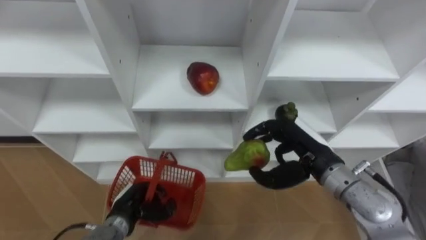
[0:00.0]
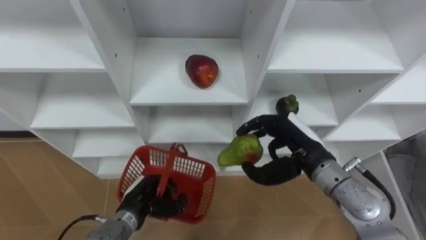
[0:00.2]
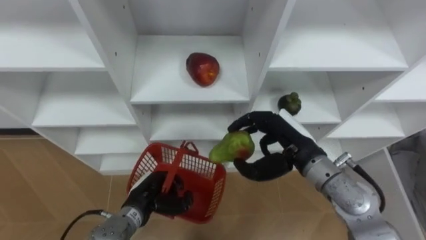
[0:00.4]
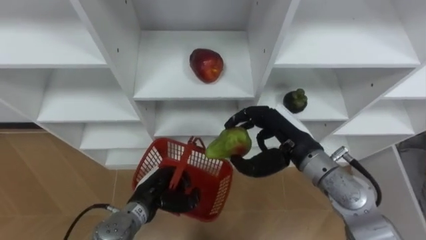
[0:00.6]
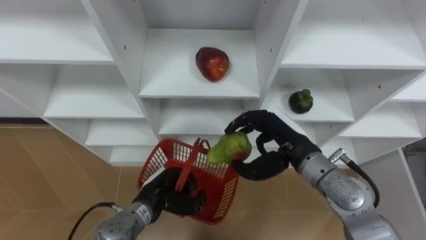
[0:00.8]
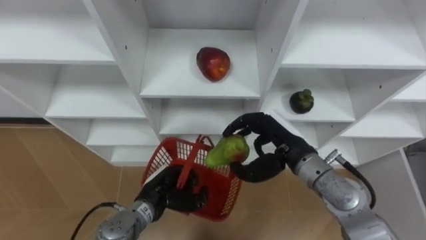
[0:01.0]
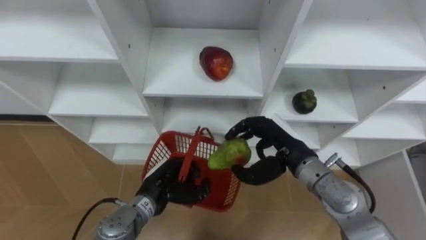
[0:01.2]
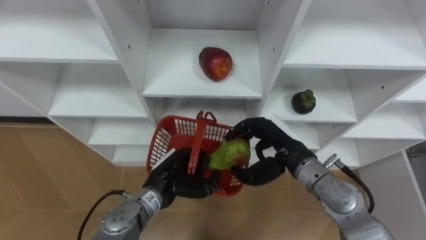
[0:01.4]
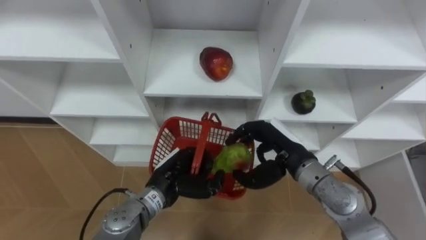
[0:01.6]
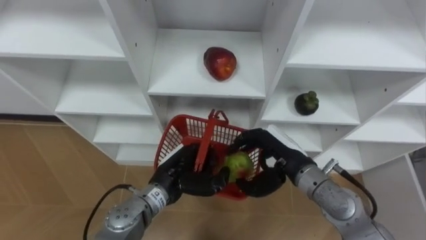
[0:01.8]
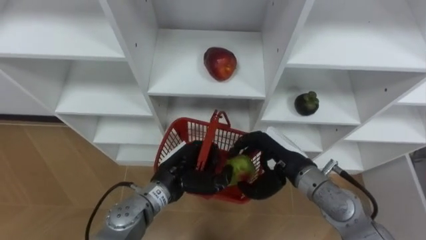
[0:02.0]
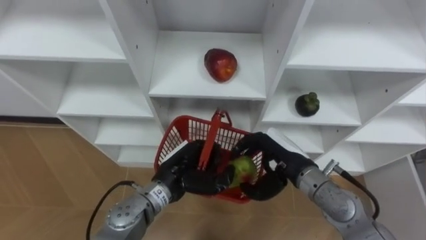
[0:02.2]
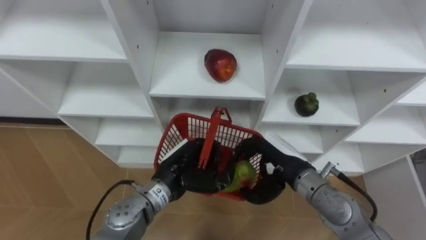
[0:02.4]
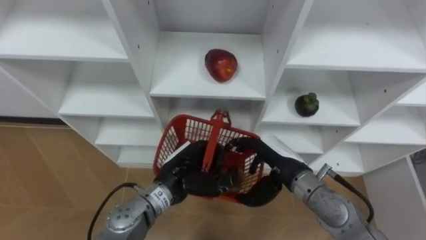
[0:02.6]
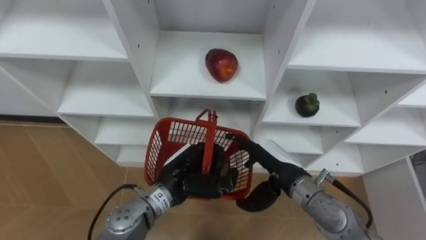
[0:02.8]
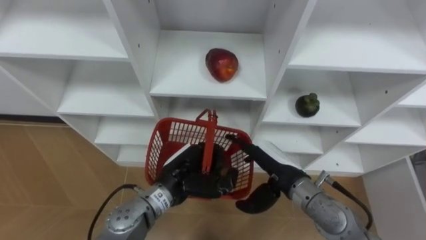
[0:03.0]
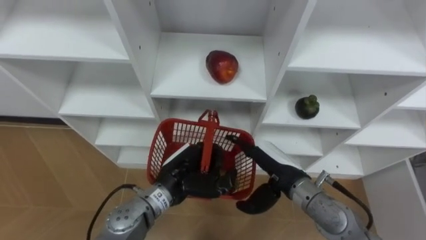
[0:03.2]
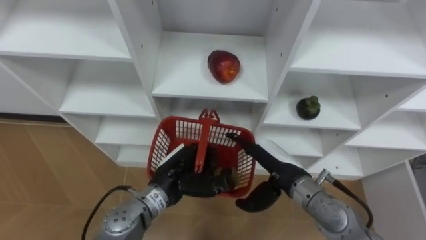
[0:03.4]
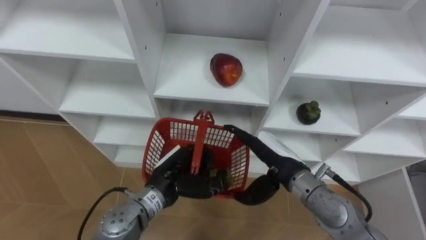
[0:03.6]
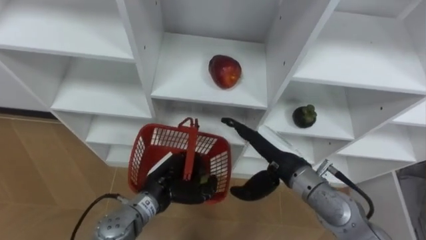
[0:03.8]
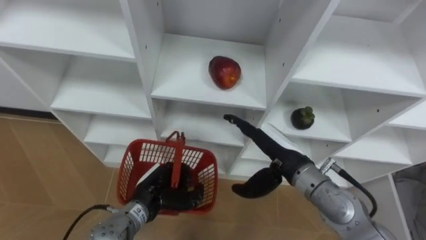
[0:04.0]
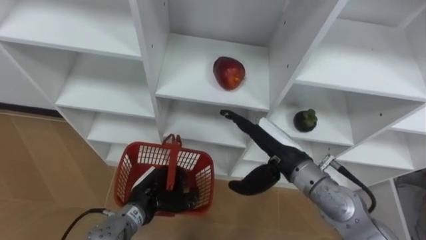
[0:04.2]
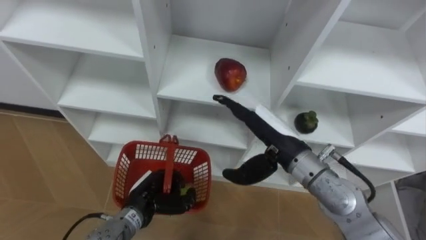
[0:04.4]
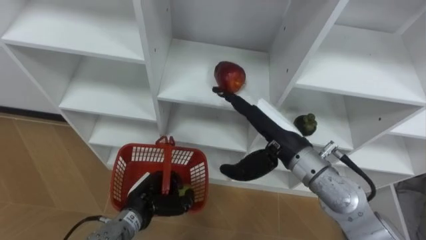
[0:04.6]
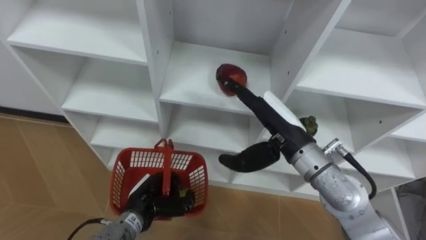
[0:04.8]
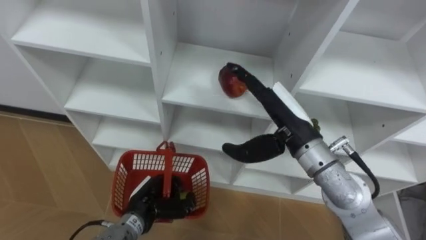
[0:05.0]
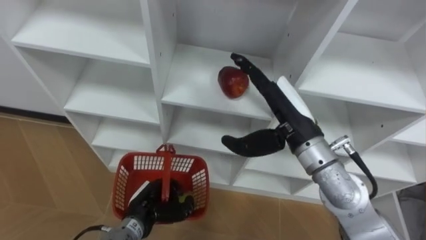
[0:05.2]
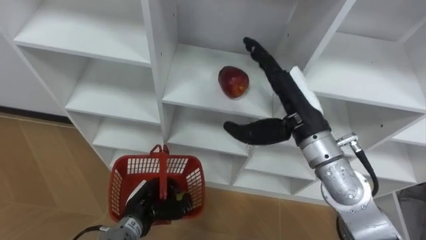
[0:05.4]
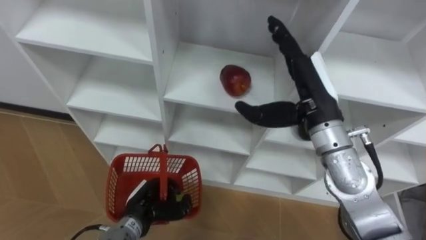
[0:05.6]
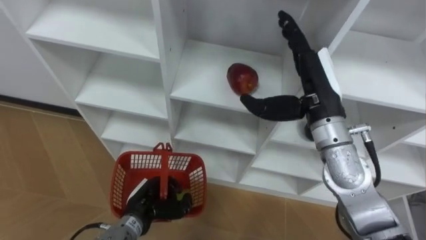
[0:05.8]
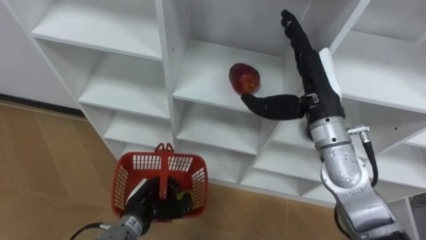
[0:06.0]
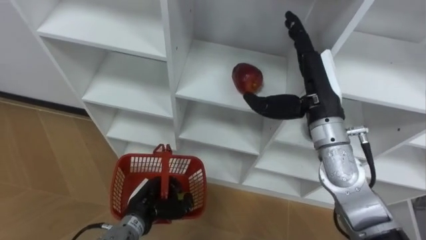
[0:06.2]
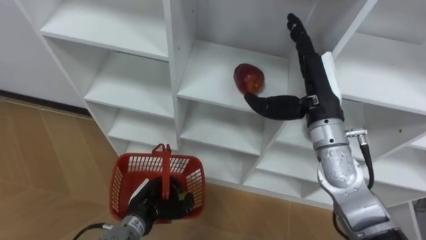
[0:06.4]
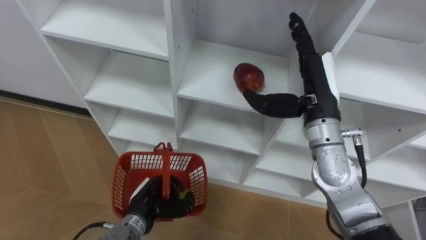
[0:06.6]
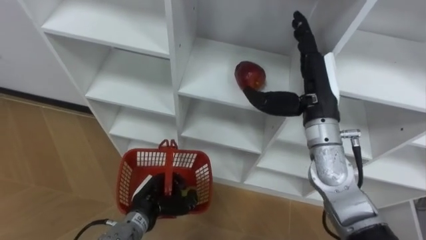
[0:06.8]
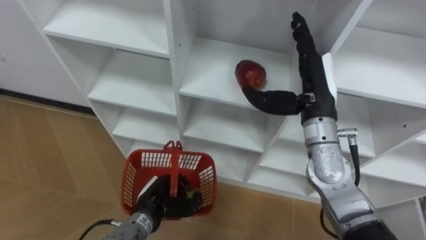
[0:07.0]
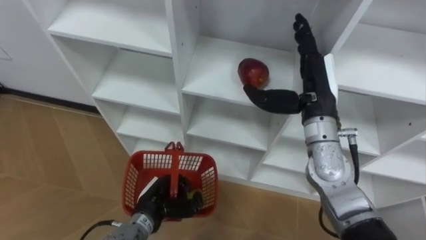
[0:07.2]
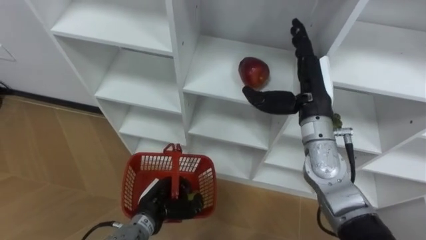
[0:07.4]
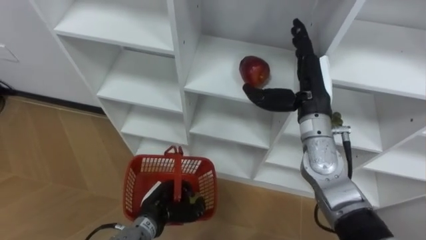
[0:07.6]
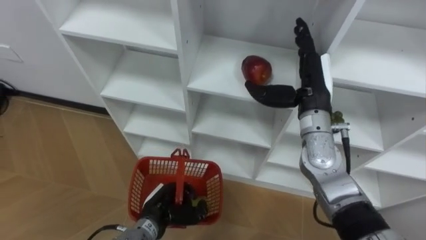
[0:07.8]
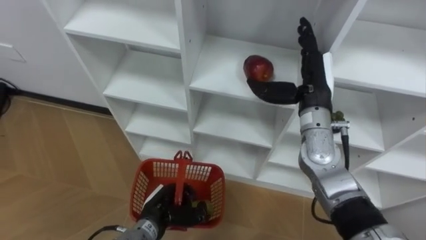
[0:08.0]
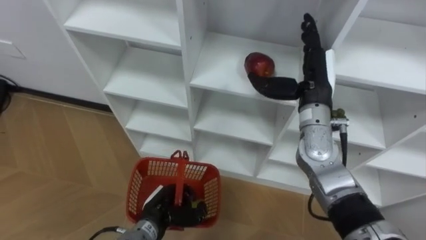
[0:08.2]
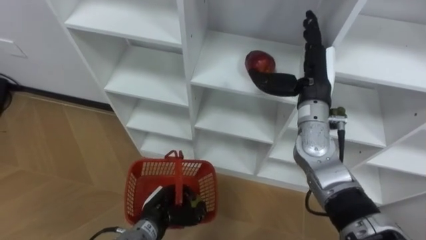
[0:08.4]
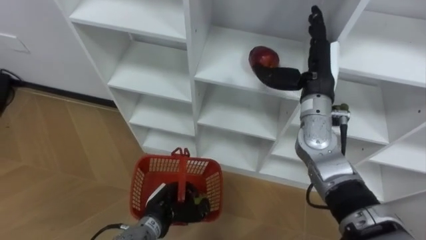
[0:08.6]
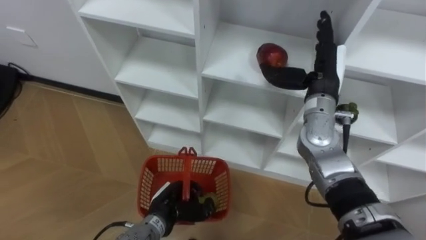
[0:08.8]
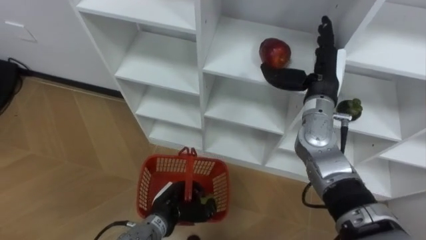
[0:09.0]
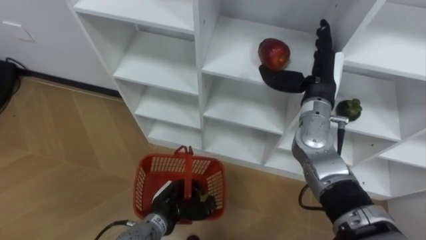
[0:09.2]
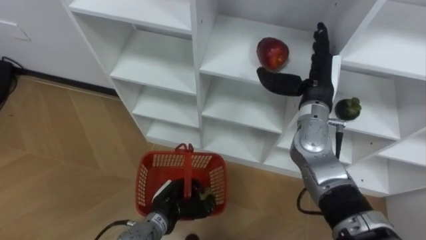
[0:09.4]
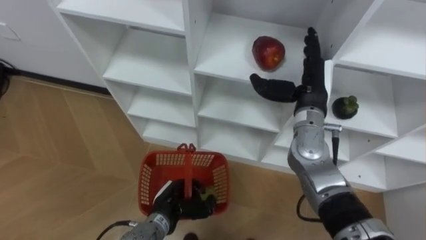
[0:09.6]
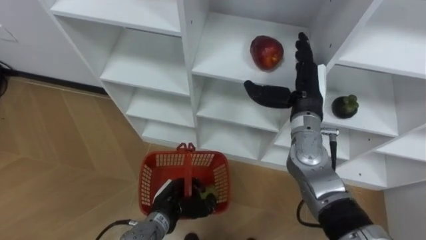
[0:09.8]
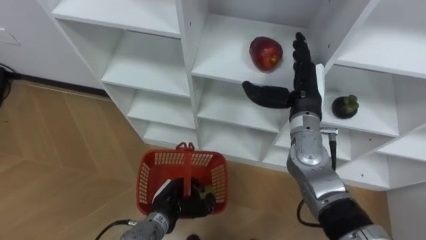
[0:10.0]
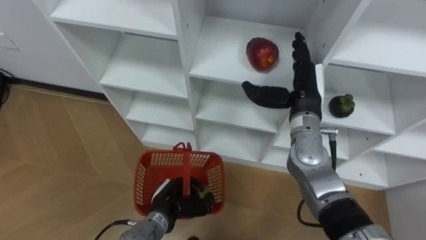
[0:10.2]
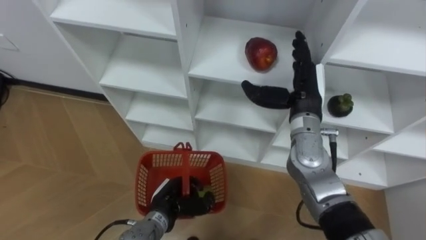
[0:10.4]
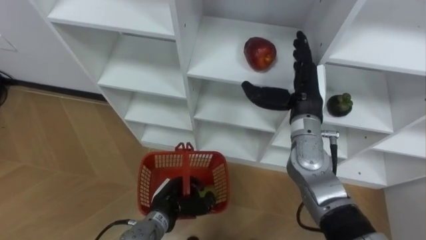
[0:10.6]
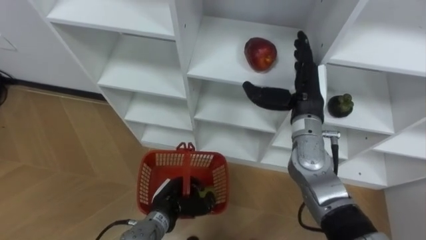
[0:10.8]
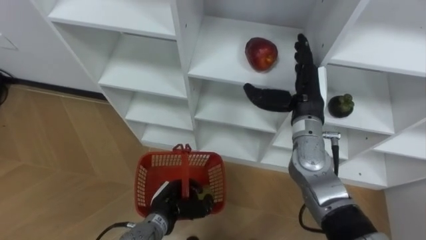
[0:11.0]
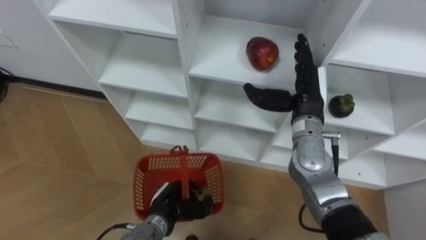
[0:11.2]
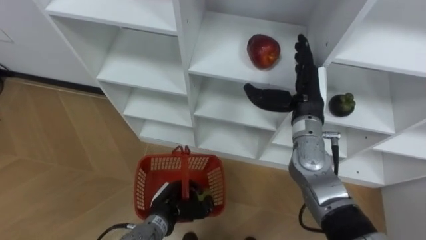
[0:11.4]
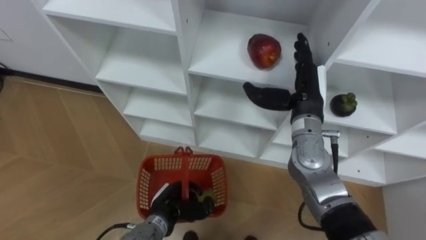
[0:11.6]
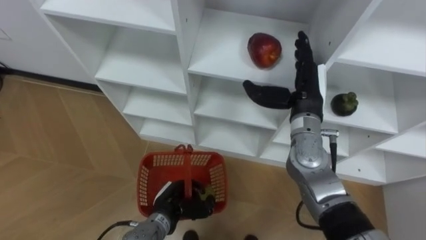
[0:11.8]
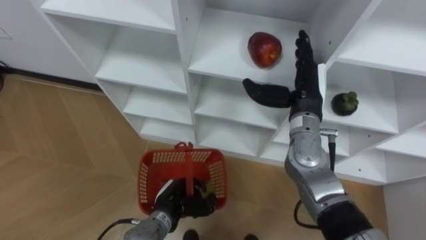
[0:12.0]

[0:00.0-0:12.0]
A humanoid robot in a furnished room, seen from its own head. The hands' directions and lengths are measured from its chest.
Task of the whole recording: Hold the basket and collect the fruits from 3 different cells of the closet into it.
0.0 to 1.6 s: The left hand moves to the right and upward, some 15 cm.
1.6 to 3.0 s: The right hand opens.
3.0 to 4.4 s: The left hand goes roughly 10 cm to the left and downward. Meanwhile the right hand travels upward by some 10 cm.
4.4 to 6.0 s: The right hand goes about 10 cm upward and to the right.
10.4 to 12.0 s: The two hands keep their place.

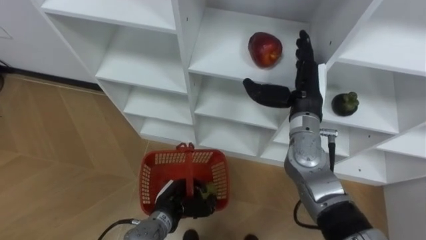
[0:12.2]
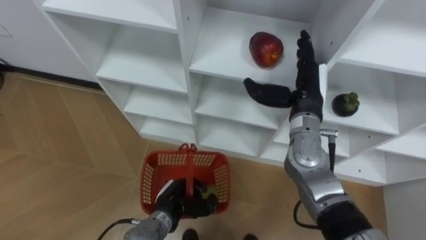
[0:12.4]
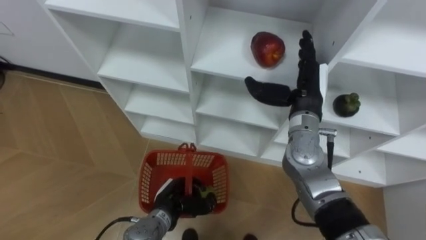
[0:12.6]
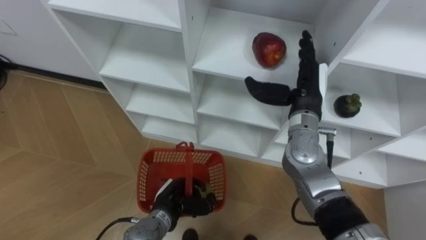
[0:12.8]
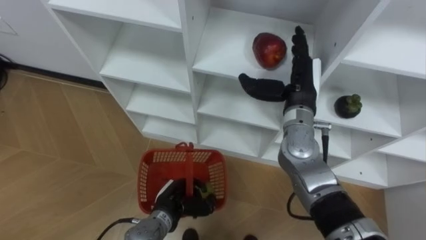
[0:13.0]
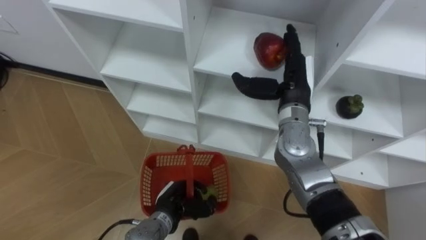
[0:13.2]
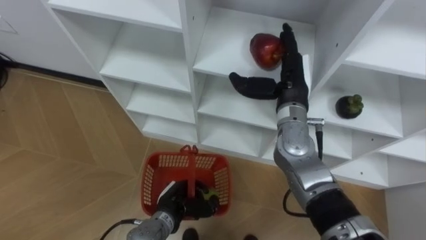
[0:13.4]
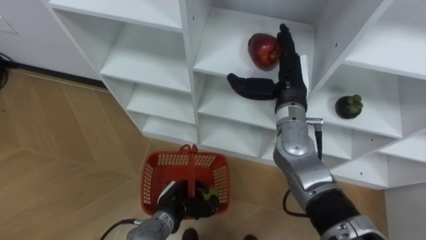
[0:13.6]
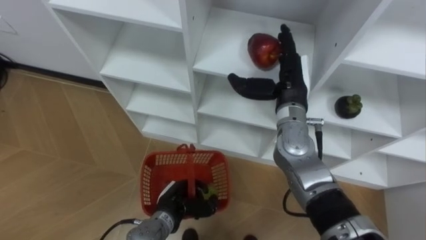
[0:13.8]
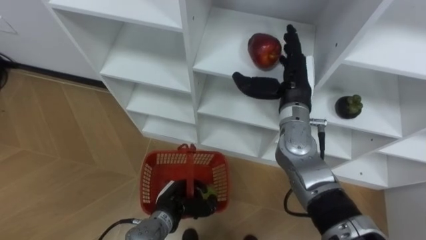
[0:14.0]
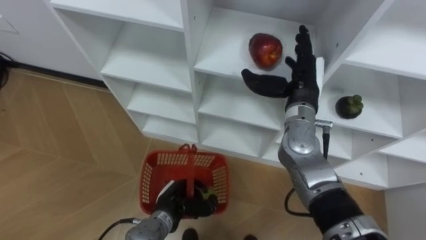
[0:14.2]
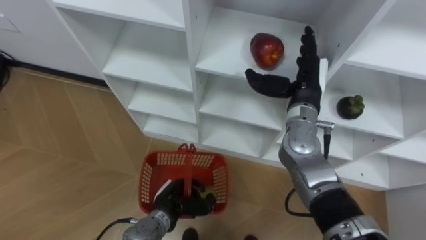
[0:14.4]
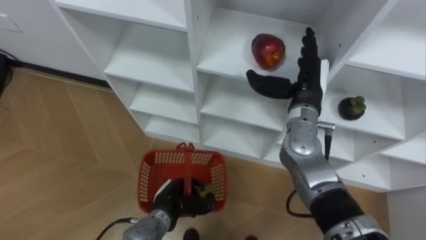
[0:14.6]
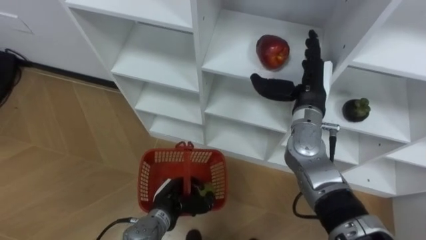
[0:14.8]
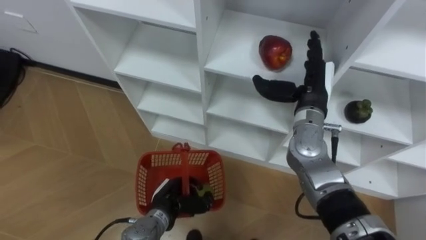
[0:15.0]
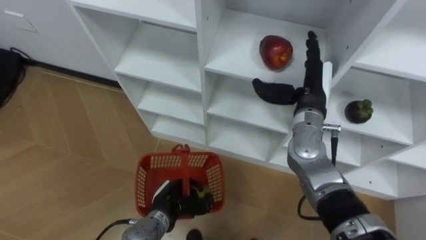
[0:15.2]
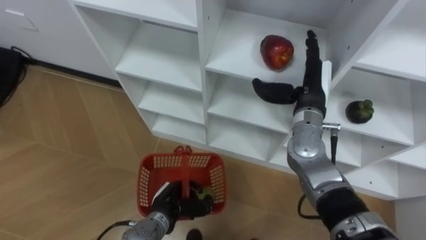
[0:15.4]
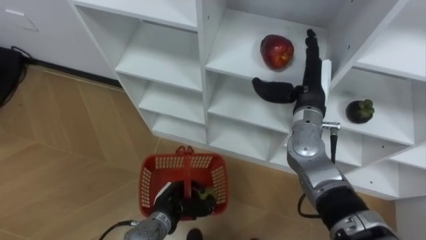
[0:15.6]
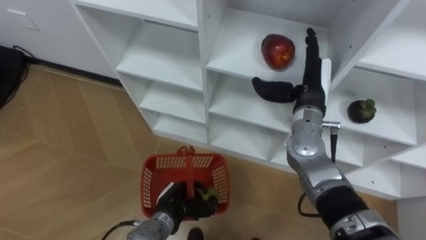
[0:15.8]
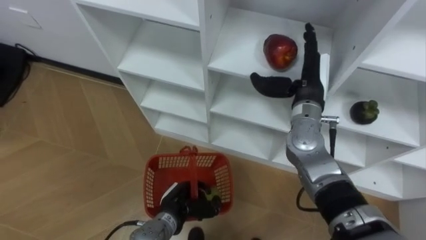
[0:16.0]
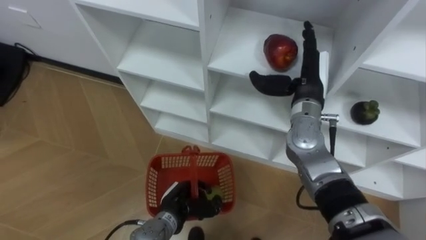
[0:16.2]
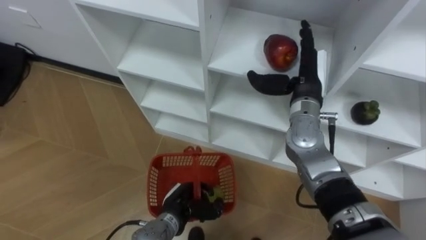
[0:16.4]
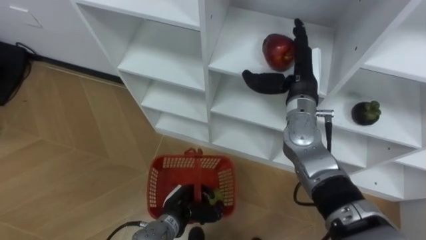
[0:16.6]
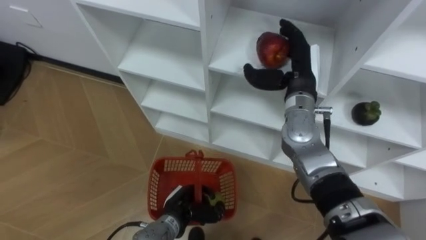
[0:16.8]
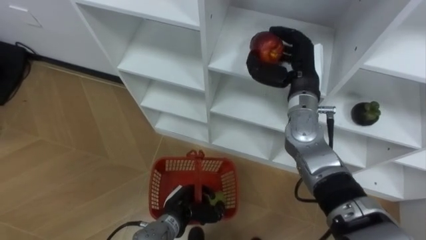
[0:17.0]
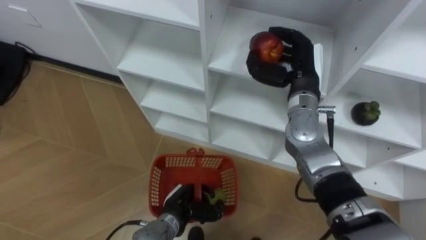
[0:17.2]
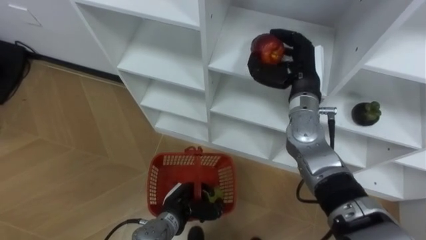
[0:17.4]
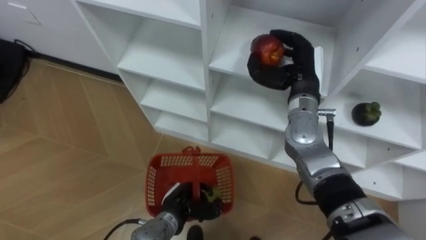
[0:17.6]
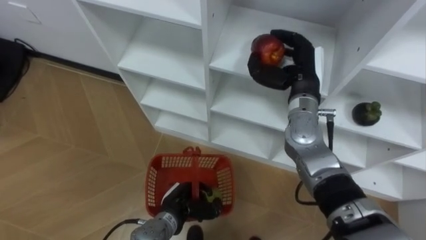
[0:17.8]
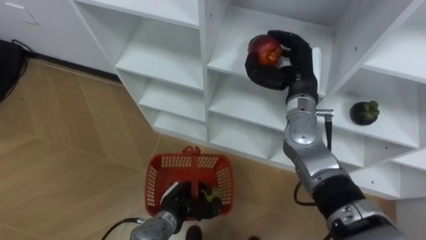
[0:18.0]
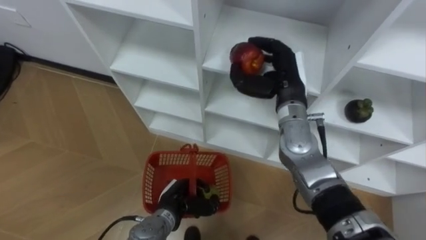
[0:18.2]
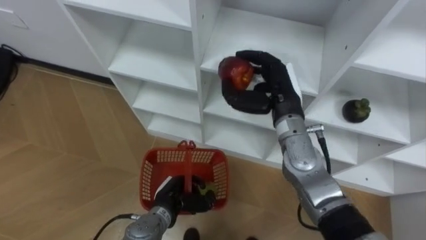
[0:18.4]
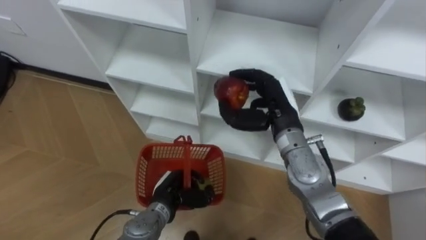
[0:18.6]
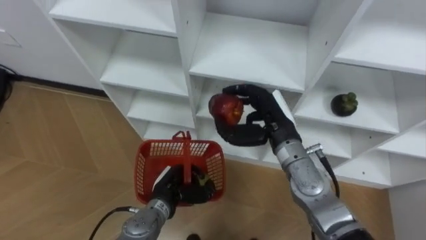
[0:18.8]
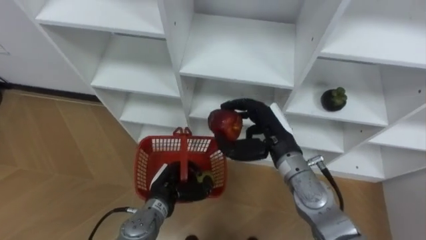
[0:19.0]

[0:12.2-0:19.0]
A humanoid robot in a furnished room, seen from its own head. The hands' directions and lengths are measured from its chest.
Task of the whole recording: Hold the basket and collect the fruits from 3 different cells of the closet into it.
12.2 to 13.6 s: The hands move only a little.
15.0 to 16.2 s: The hands stay close to where they were, moving slightly.
16.2 to 17.6 s: The right hand closes up.
17.6 to 19.0 s: The right hand moves backward and downward, about 10 cm. The left hand moves roughly 5 cm.
